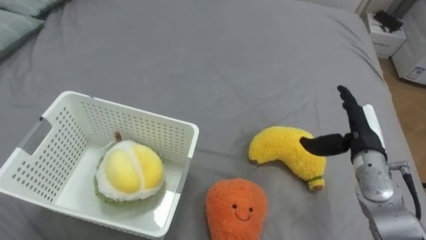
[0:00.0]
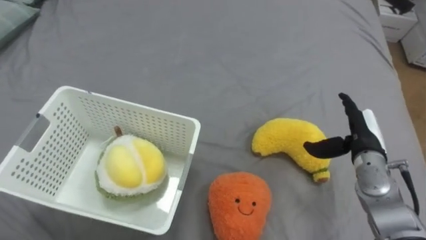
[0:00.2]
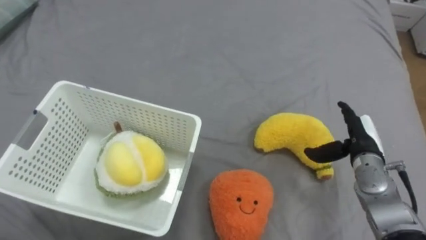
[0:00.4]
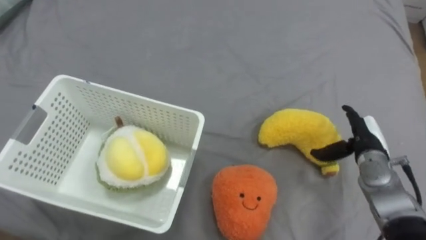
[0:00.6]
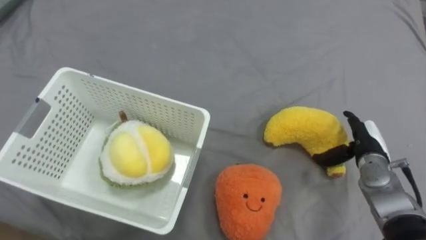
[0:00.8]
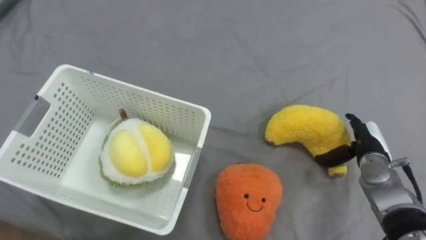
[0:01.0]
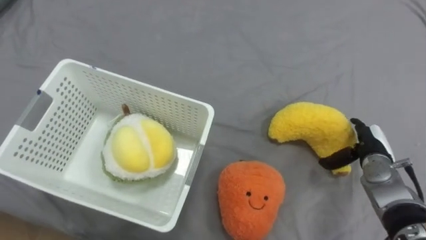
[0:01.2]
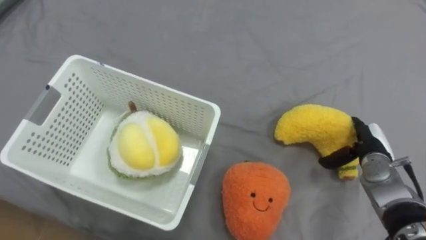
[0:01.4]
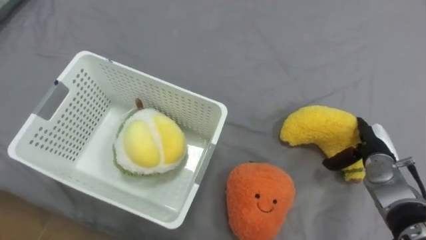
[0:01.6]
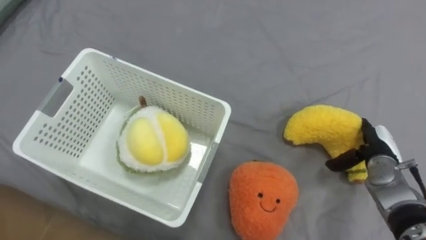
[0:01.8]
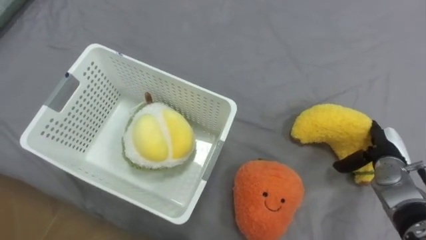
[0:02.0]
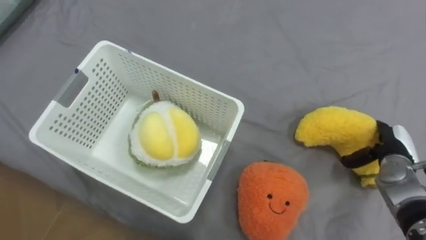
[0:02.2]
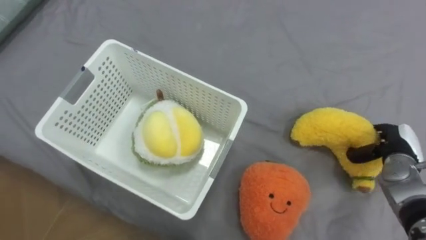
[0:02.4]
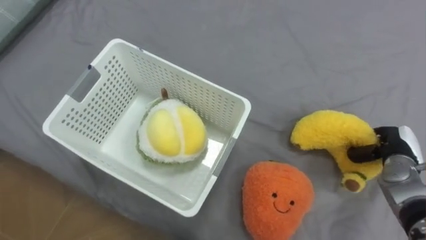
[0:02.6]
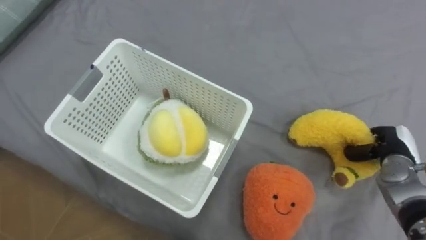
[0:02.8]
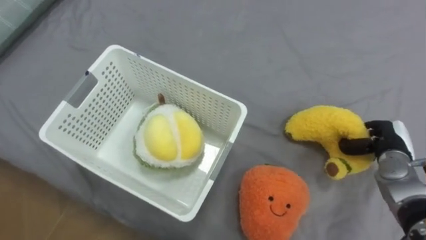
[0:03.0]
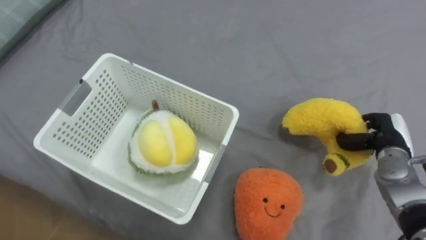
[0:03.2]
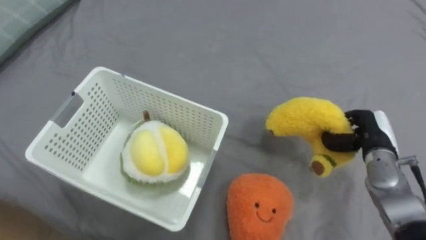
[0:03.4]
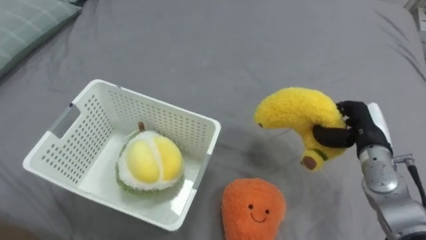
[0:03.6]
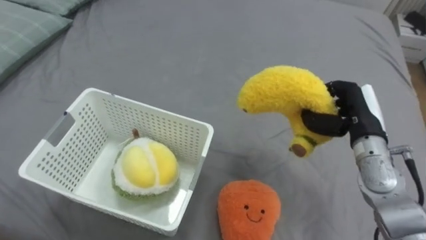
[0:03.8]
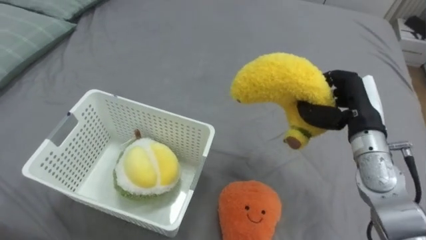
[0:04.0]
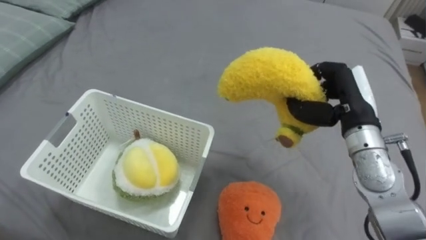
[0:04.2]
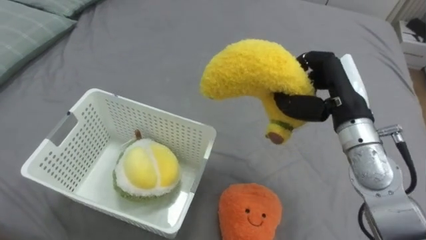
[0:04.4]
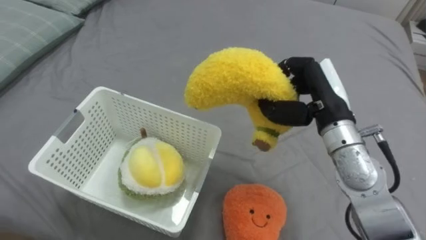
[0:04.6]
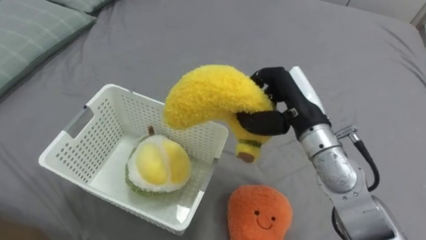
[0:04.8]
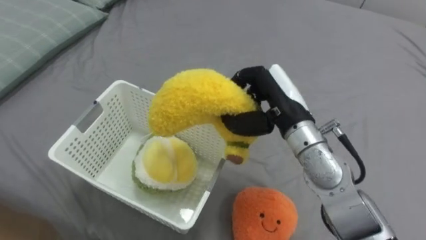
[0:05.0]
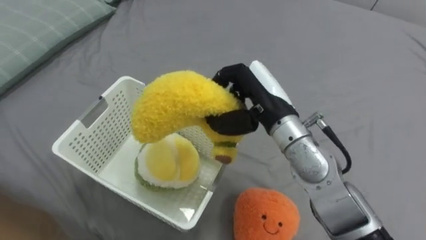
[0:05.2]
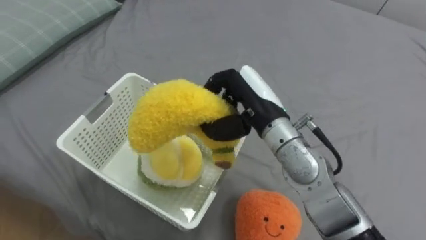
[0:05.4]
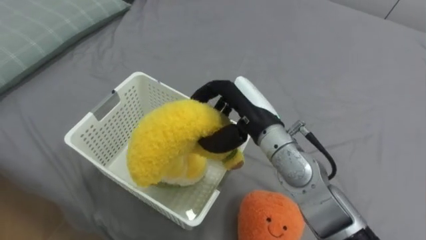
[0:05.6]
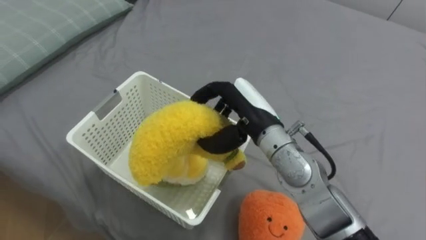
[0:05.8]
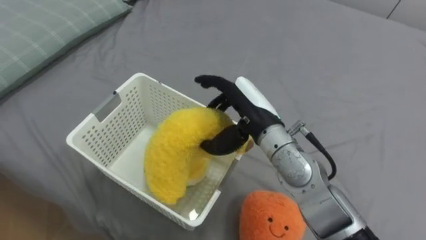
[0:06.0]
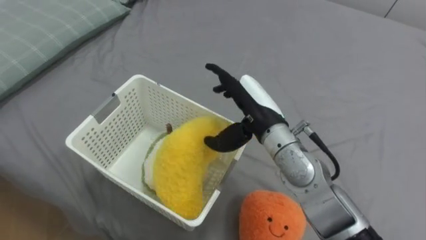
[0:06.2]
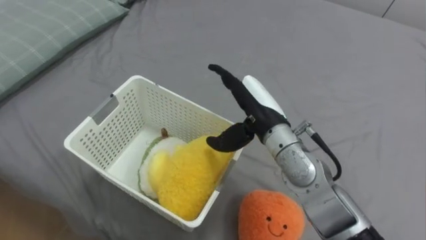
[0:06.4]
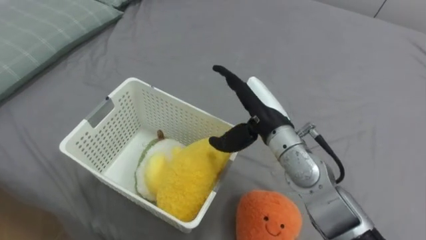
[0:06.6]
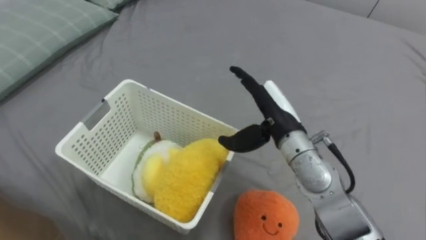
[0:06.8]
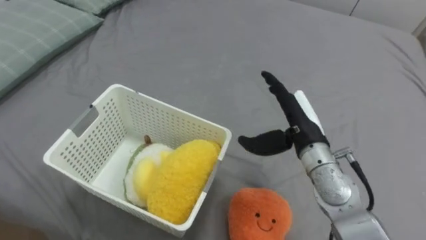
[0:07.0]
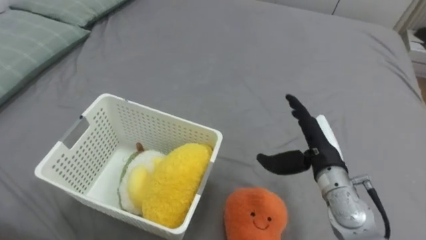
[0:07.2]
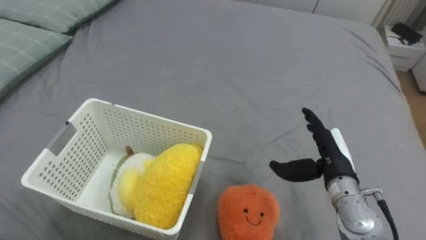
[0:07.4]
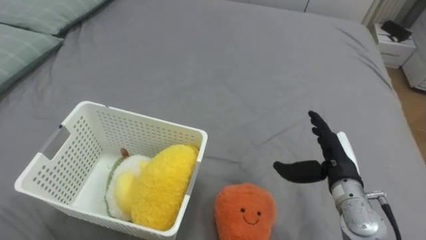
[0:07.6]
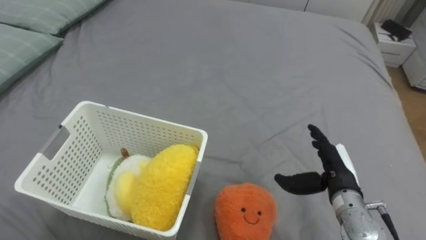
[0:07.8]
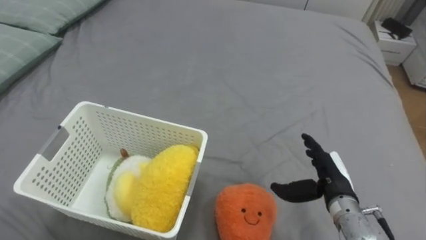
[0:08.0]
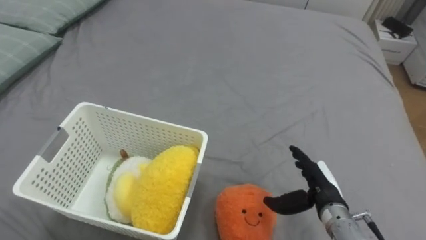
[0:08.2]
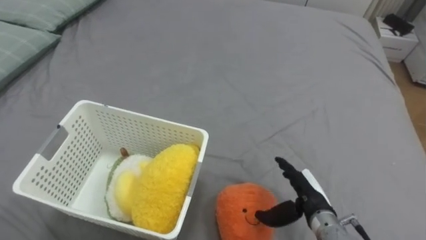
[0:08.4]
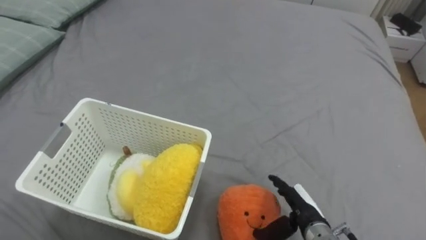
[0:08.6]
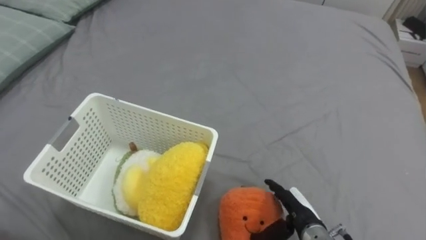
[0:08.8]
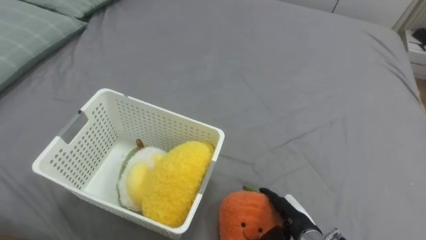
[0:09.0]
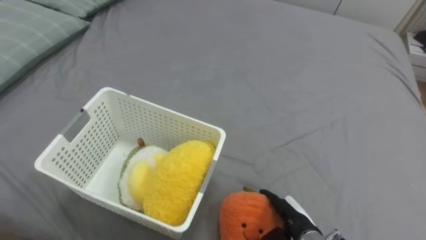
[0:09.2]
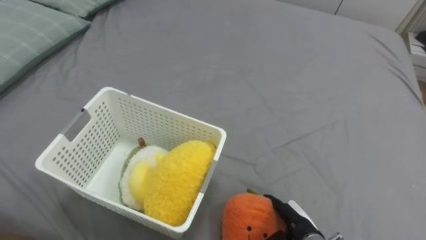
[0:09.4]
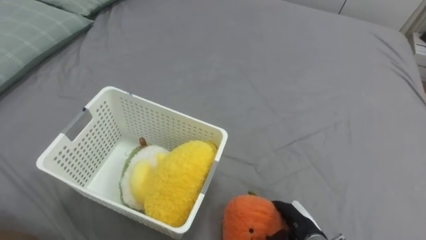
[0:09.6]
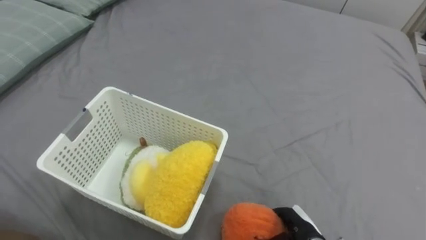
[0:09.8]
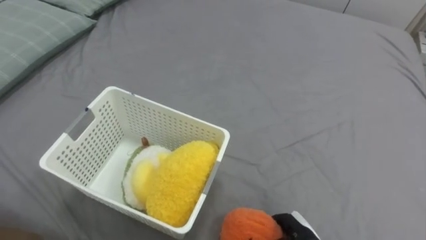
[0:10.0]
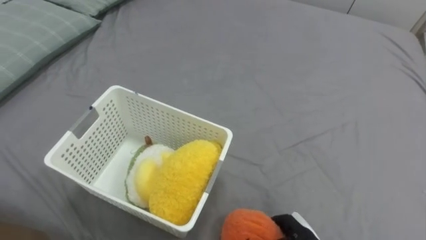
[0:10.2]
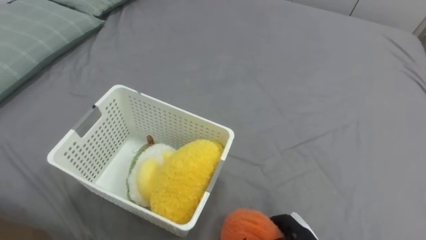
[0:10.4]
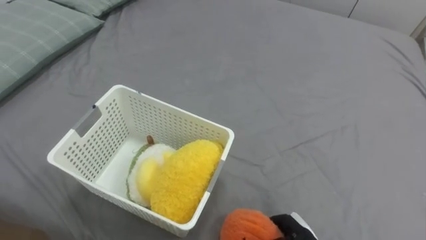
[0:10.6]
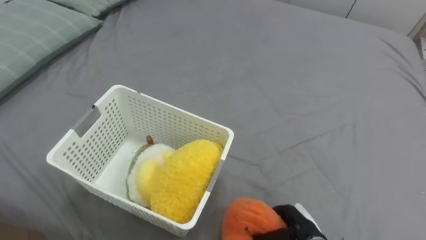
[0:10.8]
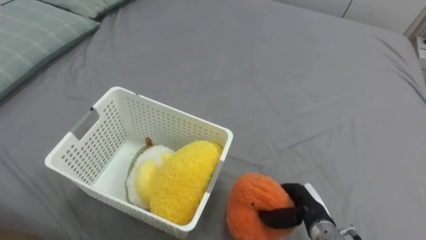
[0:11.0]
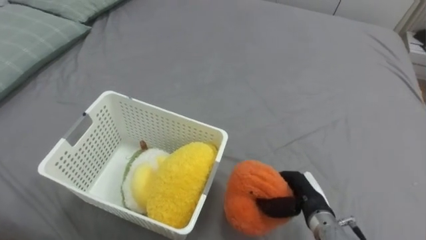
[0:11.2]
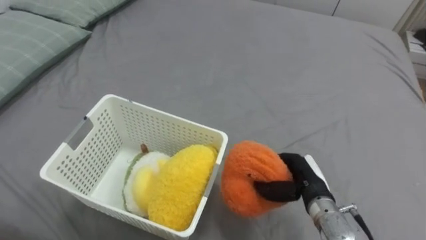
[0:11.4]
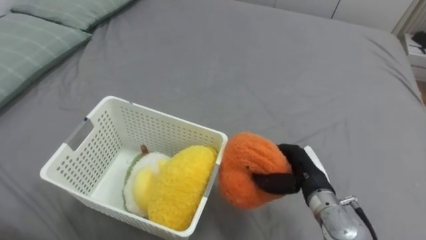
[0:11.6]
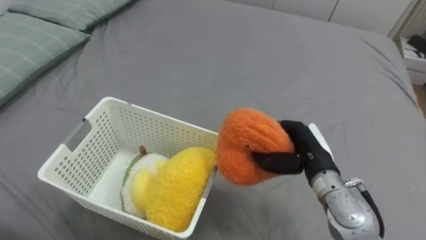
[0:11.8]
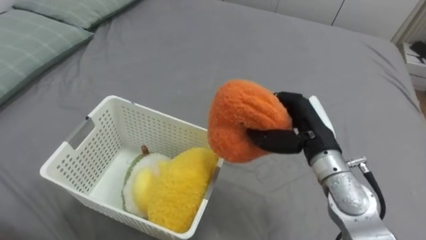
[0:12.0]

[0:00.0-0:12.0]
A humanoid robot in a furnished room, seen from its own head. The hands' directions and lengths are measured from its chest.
Task of the whole recording: Put the toys on the bed into the basket on the left.
0:00.0 to 0:01.6: The right hand travels downward by roughly 5 cm.
0:01.6 to 0:03.0: The right hand closes up.
0:03.0 to 0:04.4: The right hand heads upward and to the left, covering approximately 20 cm.
0:04.4 to 0:06.0: The right hand is displaced to the left by about 15 cm, and opens its fingers.
0:06.0 to 0:07.6: The right hand heads to the right and downward, covering approximately 20 cm.
0:07.6 to 0:09.0: The right hand travels downward, backward and to the left by some 15 cm.
0:09.0 to 0:10.4: The right hand closes its fingers.
0:10.4 to 0:12.0: The right hand heads upward and forward, covering about 25 cm.

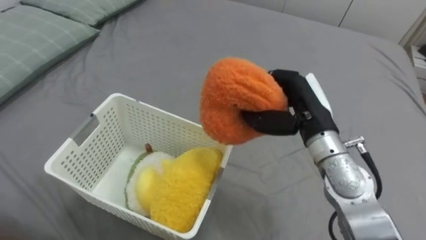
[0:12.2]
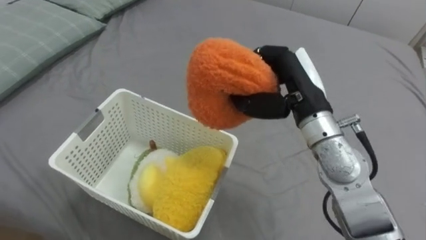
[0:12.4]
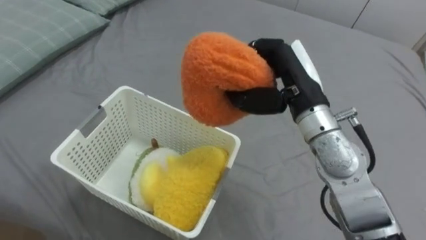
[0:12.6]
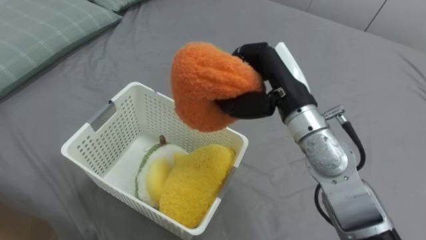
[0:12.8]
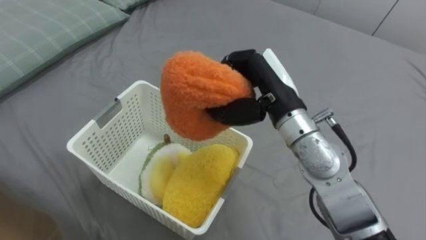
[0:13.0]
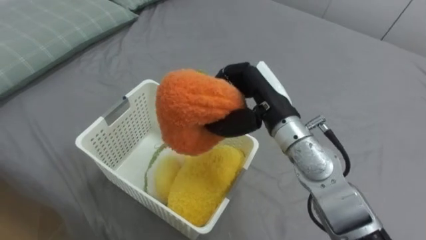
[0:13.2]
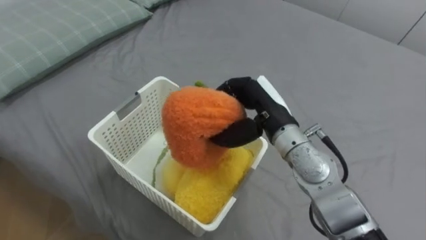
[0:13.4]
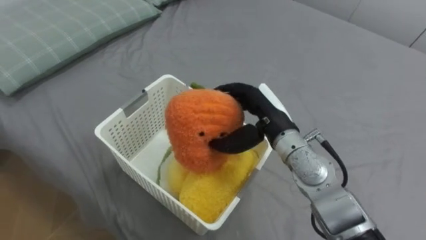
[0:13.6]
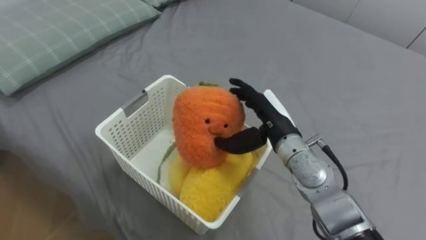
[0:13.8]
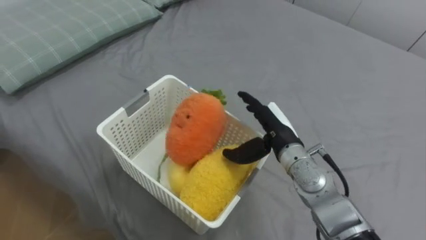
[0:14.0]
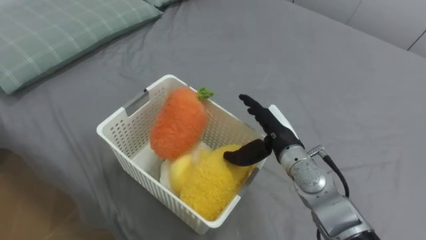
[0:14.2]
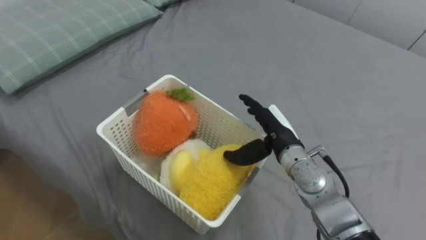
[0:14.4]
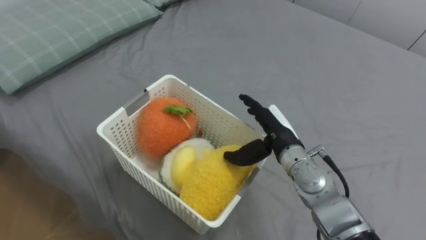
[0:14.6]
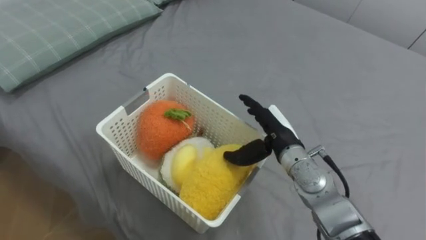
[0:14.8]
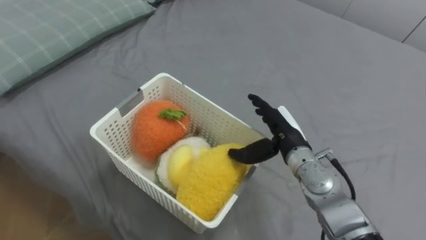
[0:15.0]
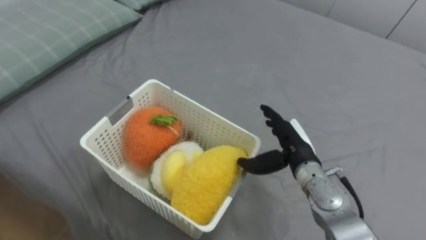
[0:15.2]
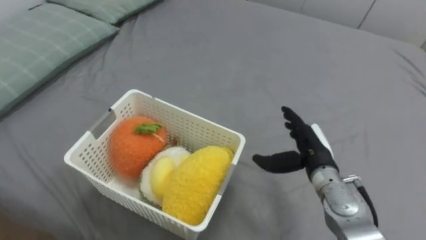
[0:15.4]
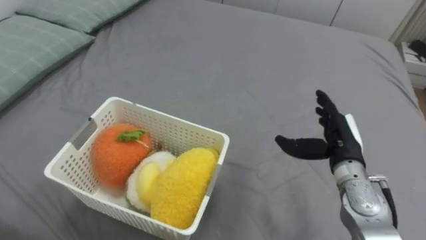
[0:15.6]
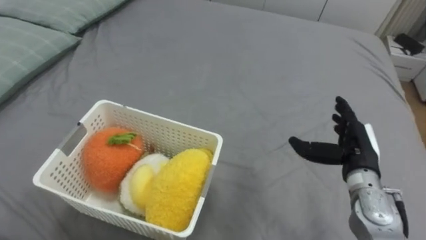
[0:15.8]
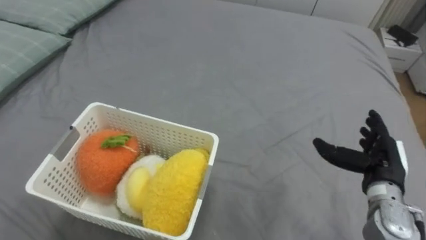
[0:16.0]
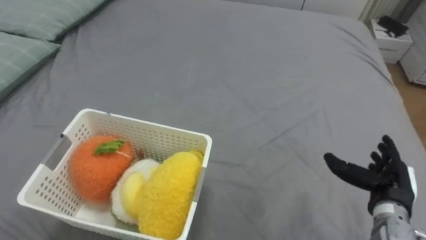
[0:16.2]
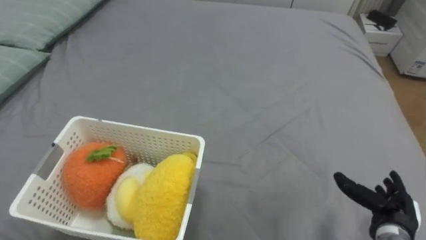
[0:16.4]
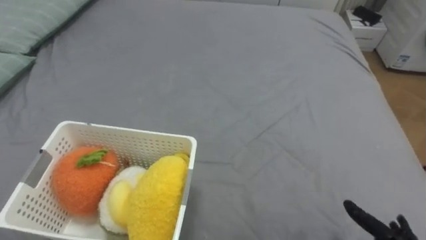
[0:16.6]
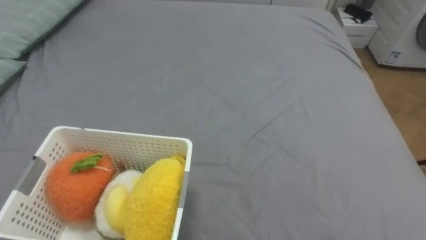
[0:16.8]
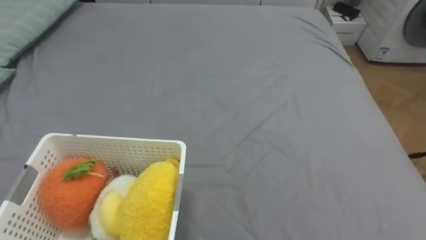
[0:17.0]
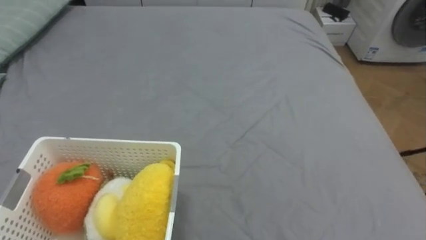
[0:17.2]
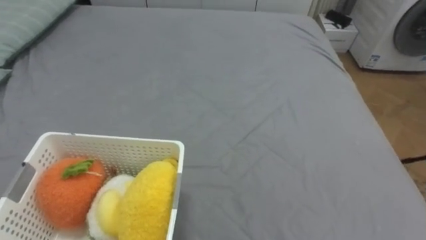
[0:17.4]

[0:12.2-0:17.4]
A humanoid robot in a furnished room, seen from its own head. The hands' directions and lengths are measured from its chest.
Task of the whole recording: Put the toys on the bed into the basket on the left.
0:12.2 to 0:14.0: The right hand goes some 5 cm downward, and opens.
0:14.0 to 0:15.6: The right hand travels to the right by some 10 cm.
